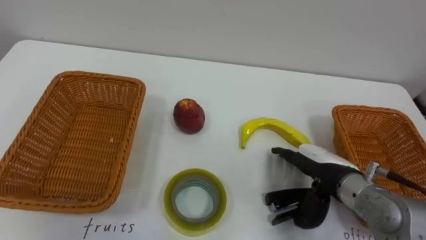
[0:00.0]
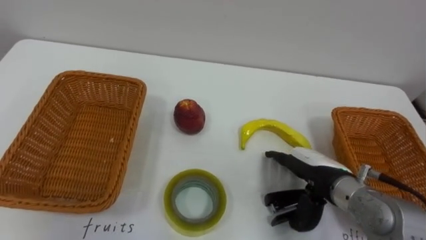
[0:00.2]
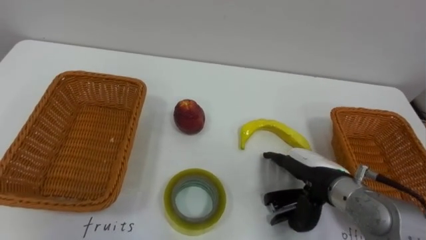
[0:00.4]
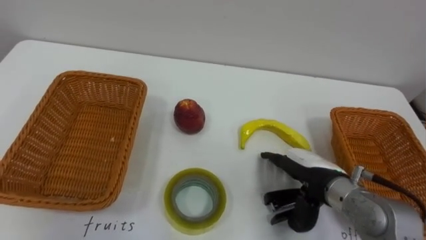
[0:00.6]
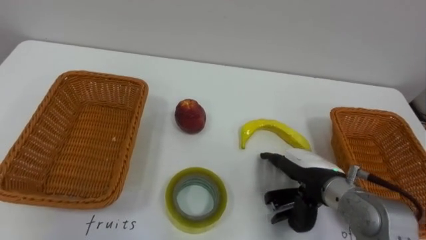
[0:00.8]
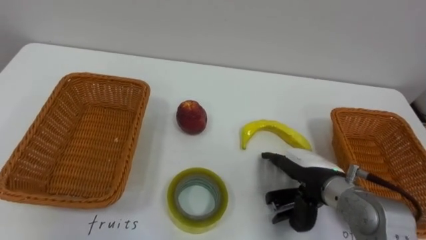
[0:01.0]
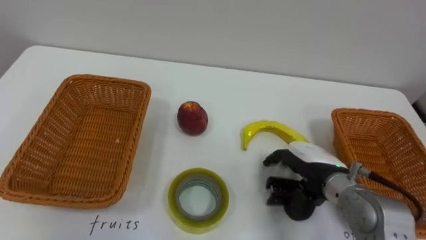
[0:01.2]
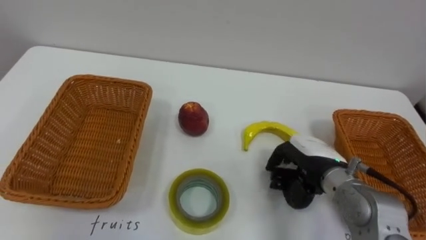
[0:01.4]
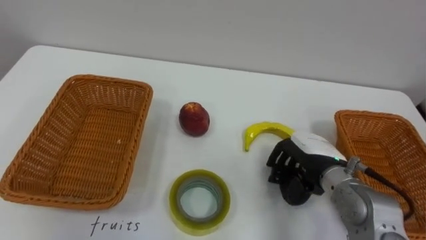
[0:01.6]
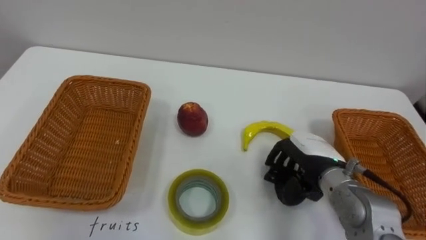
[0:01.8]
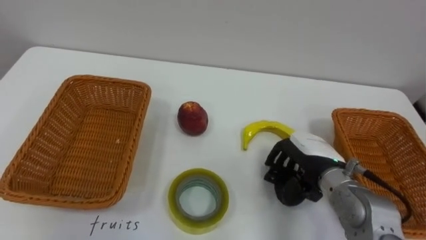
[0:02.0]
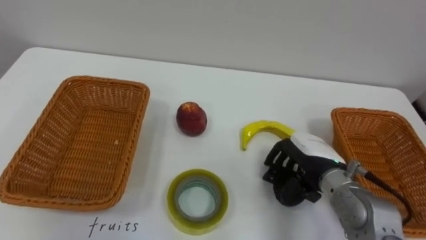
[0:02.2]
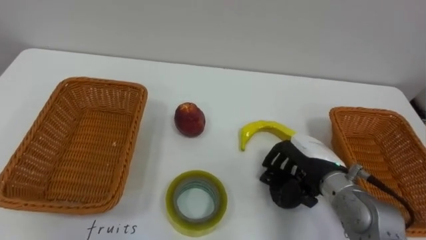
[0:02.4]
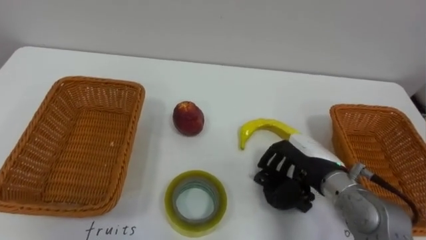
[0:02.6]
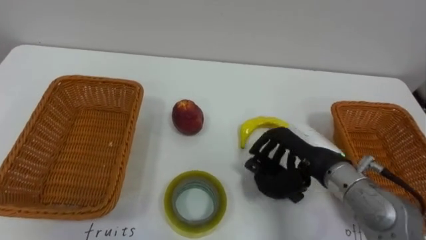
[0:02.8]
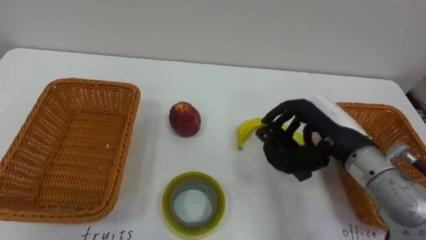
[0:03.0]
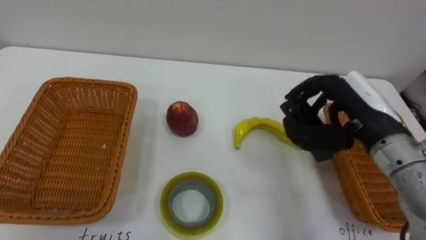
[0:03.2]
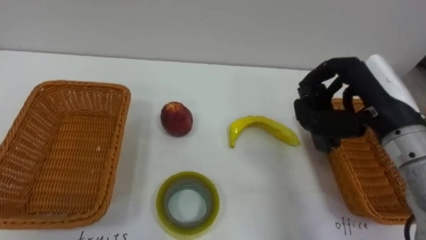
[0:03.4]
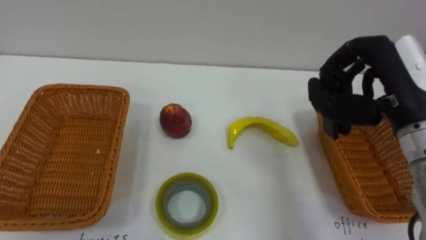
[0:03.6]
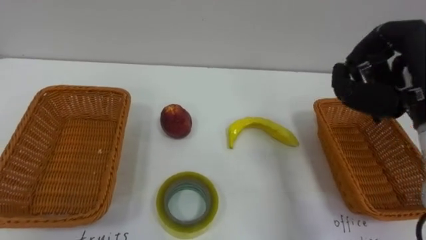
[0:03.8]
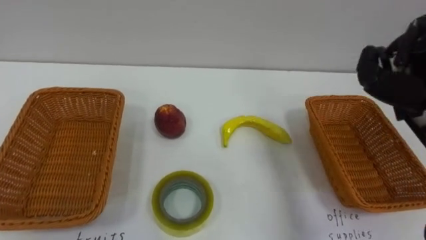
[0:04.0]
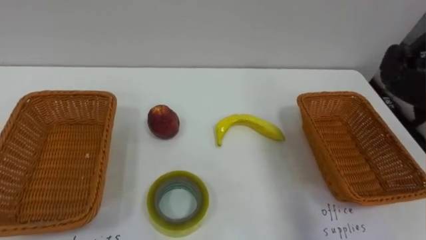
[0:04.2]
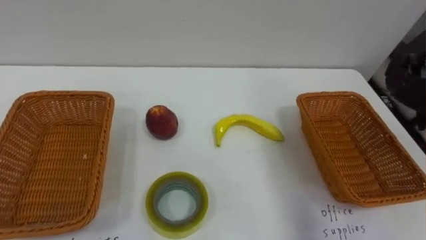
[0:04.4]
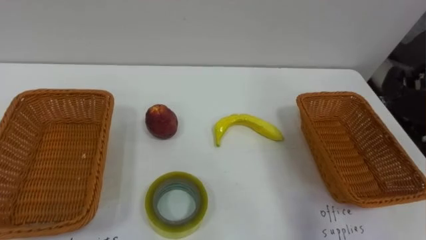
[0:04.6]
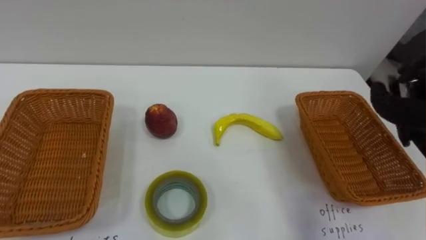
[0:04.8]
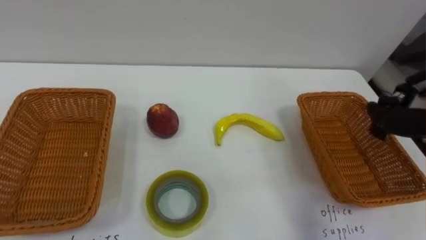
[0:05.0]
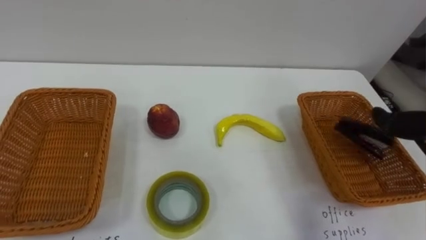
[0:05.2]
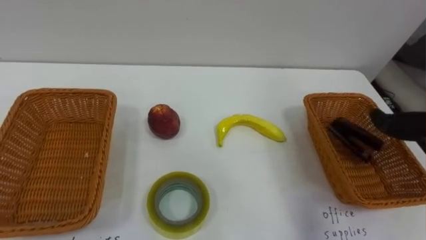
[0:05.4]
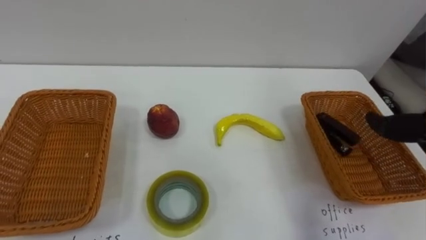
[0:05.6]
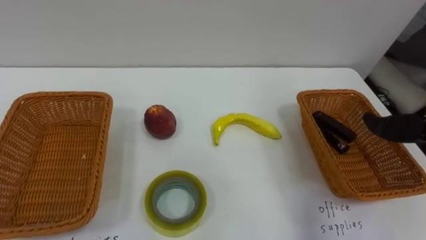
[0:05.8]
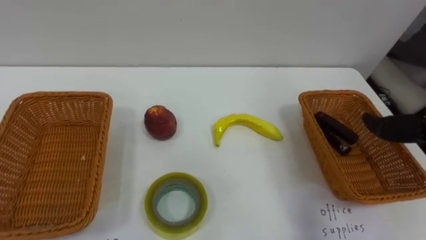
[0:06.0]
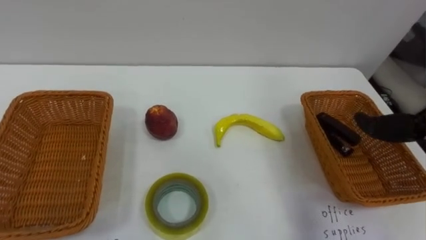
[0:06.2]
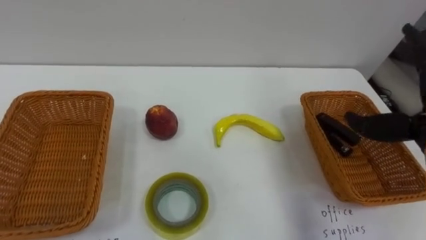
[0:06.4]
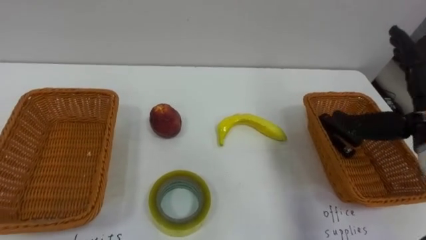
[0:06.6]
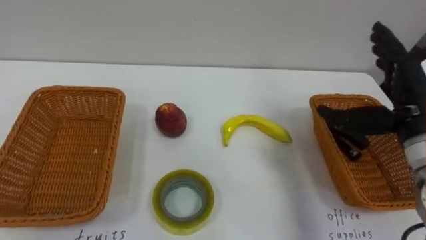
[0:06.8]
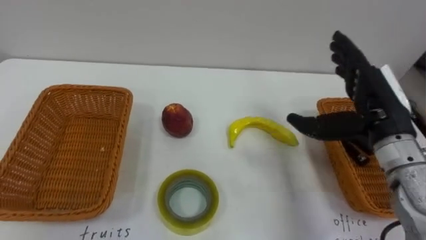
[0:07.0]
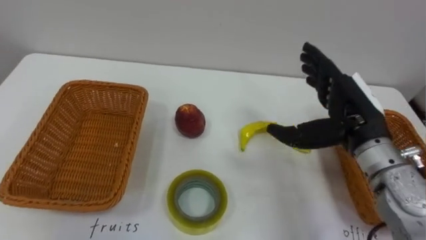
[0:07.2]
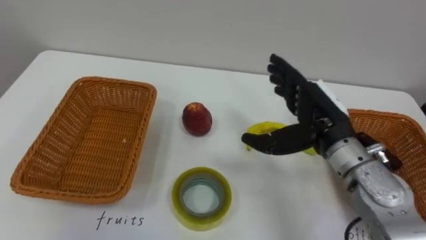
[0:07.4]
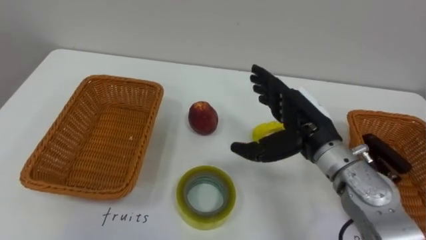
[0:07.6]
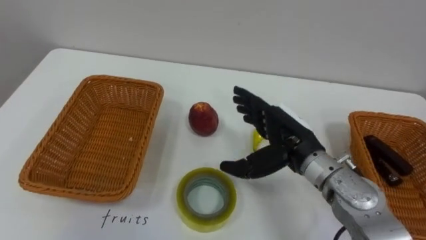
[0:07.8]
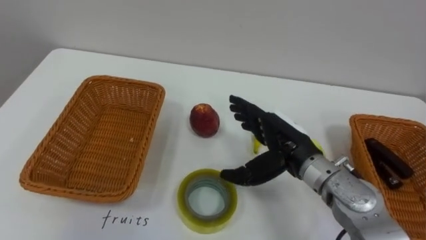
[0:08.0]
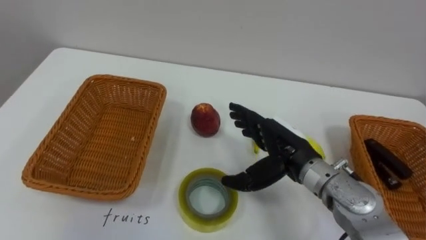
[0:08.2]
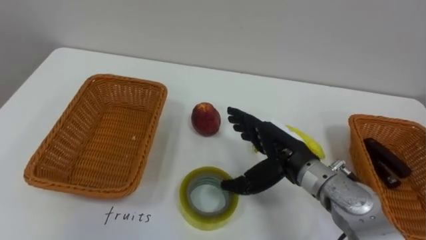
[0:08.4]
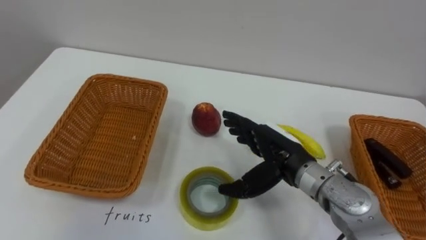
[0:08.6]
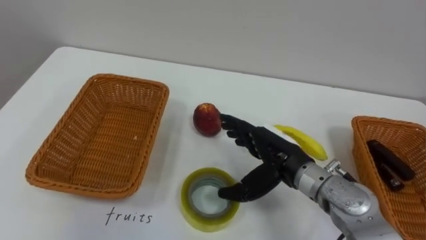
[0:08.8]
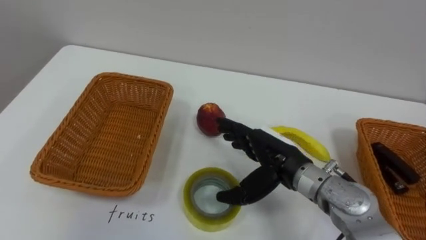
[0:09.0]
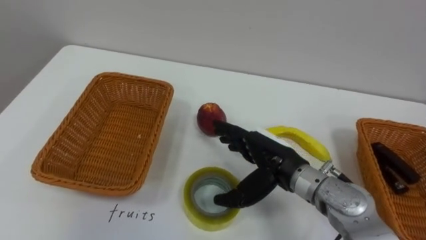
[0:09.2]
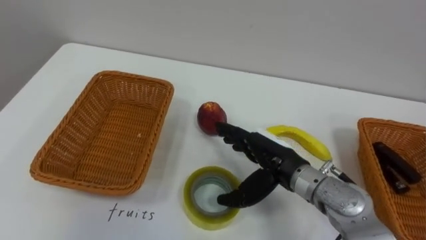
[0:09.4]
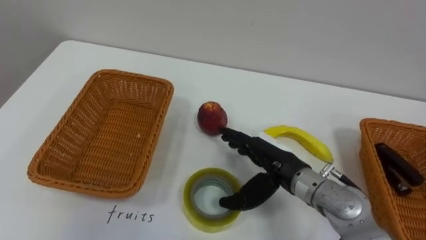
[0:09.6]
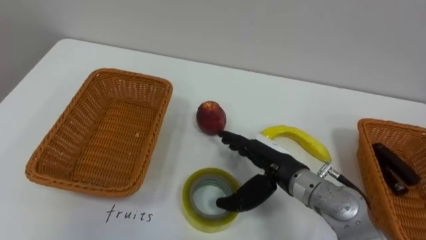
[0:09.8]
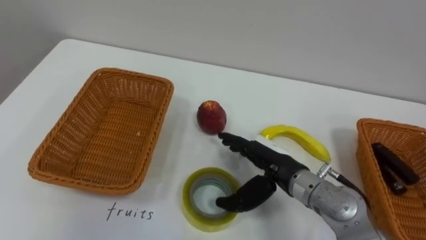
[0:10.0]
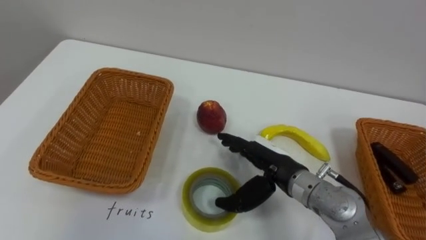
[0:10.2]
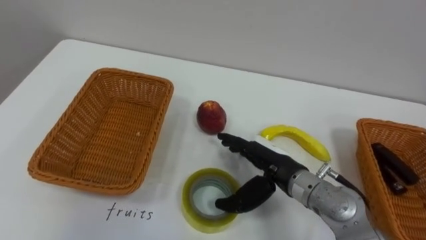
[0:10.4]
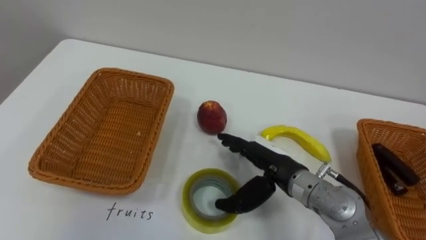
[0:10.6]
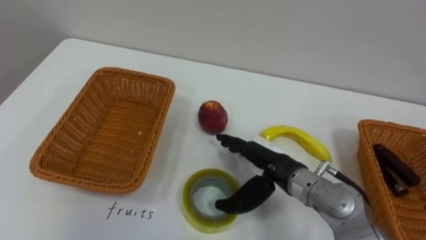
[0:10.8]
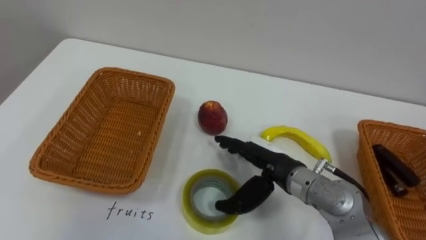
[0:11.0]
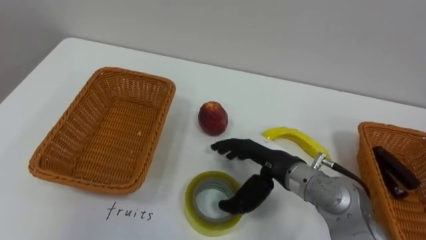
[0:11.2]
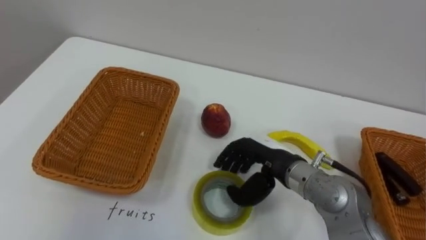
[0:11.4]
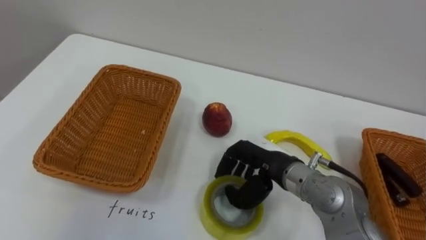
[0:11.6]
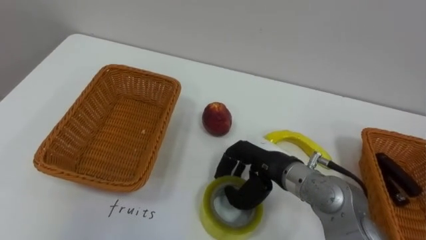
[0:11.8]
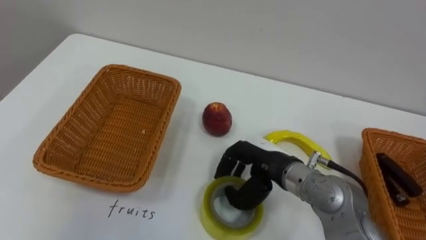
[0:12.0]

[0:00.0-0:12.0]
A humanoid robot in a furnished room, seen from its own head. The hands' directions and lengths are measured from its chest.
Task of the whole recording: Separate the items on the table and place them into the two baskets.
0:00.0 to 0:01.6: The right hand closes up.
0:01.6 to 0:03.0: The right hand shifts roughly 10 cm upward.
0:07.6 to 0:09.0: The right hand shifts about 5 cm downward.
0:10.4 to 0:12.0: The right hand closes up.

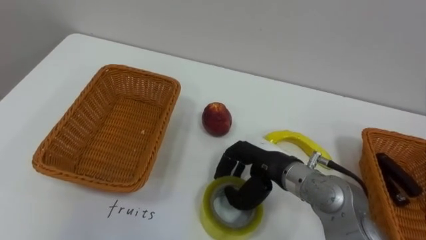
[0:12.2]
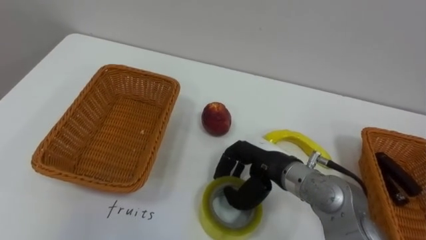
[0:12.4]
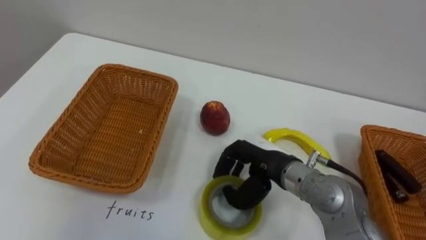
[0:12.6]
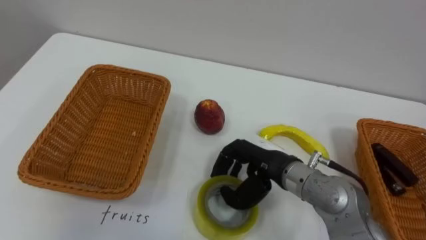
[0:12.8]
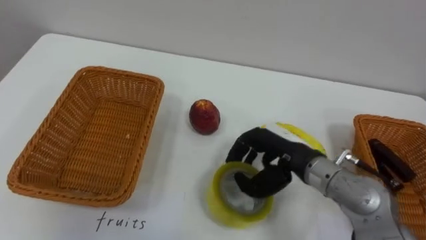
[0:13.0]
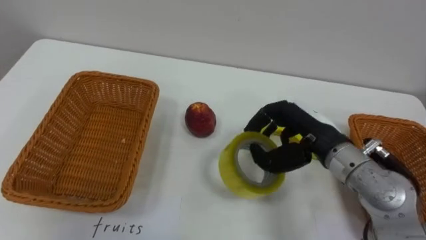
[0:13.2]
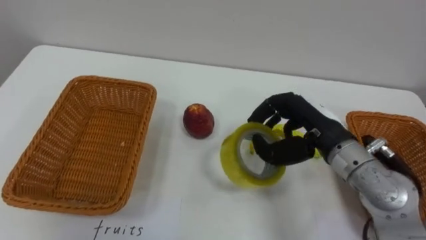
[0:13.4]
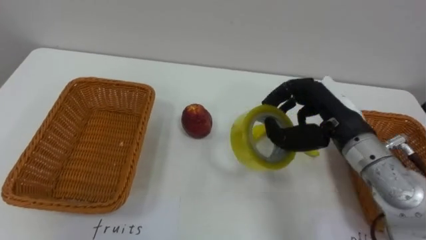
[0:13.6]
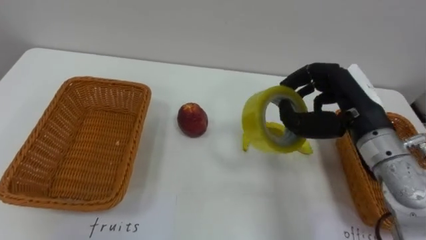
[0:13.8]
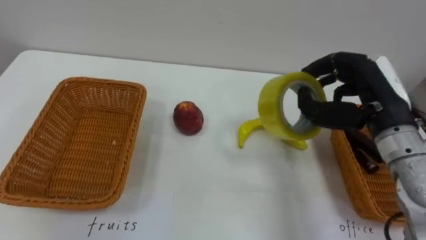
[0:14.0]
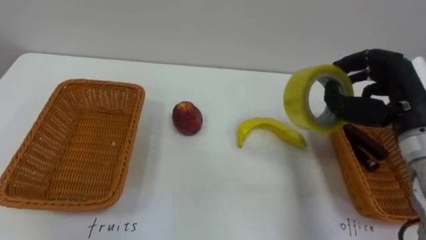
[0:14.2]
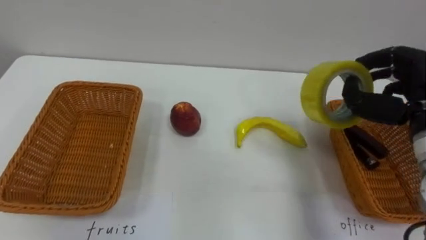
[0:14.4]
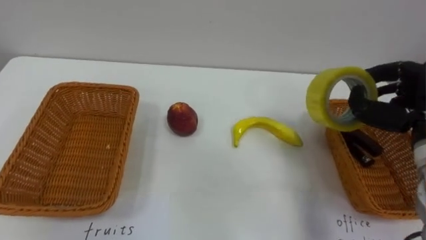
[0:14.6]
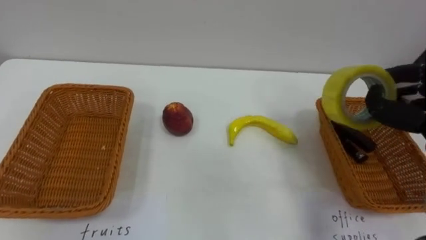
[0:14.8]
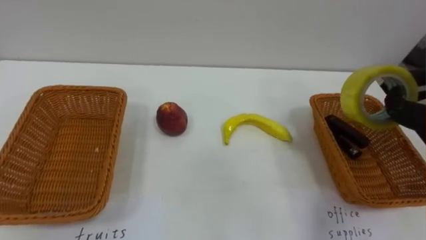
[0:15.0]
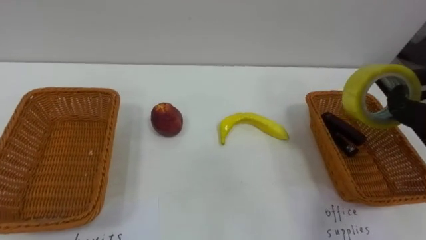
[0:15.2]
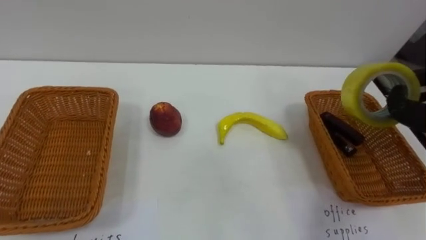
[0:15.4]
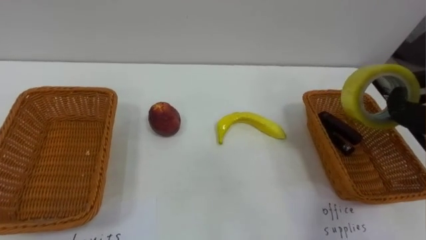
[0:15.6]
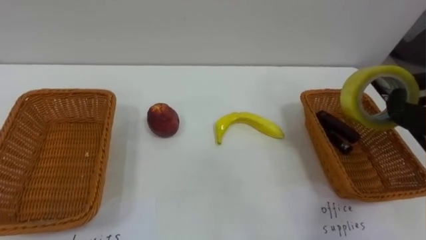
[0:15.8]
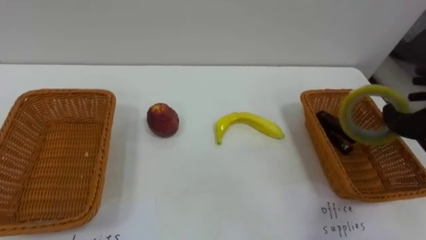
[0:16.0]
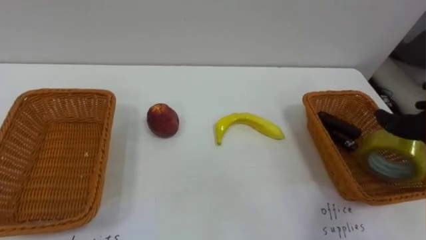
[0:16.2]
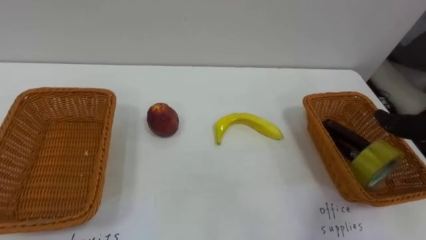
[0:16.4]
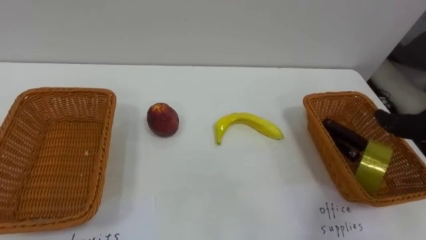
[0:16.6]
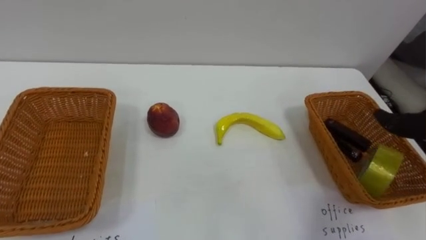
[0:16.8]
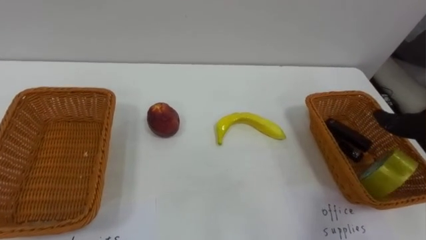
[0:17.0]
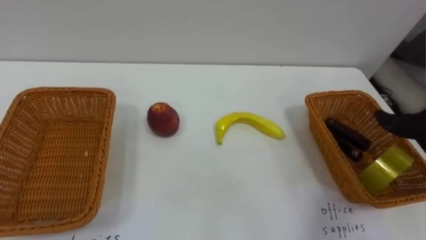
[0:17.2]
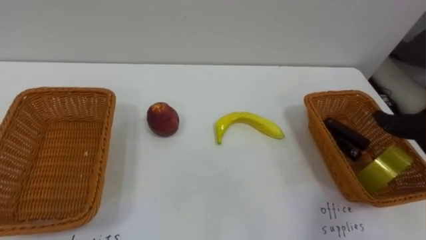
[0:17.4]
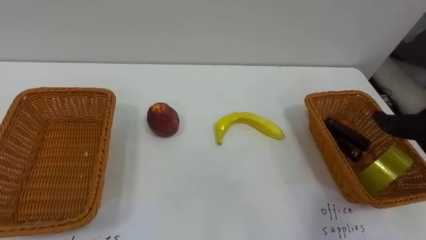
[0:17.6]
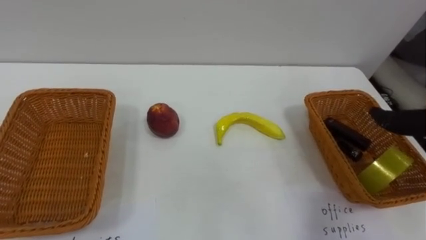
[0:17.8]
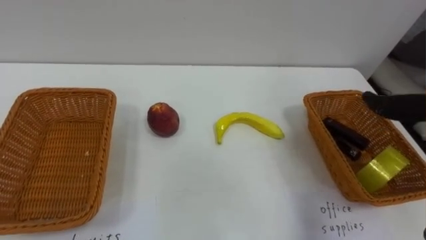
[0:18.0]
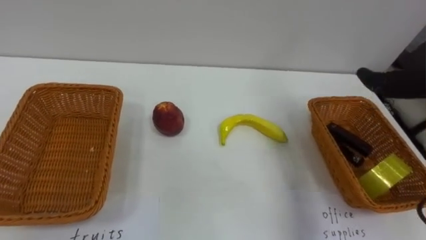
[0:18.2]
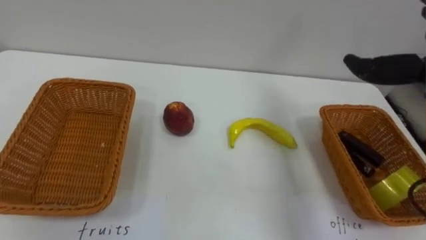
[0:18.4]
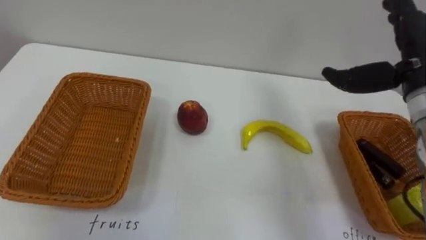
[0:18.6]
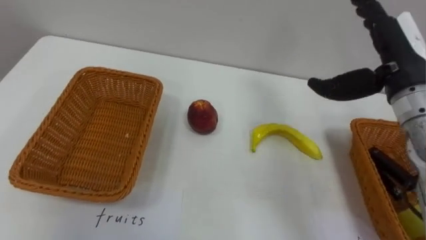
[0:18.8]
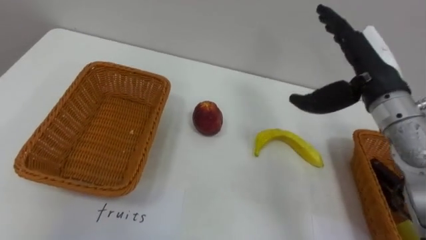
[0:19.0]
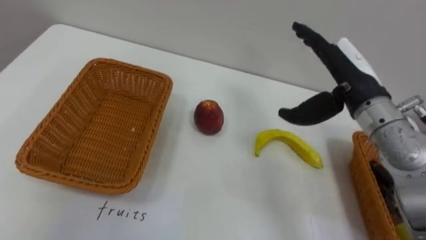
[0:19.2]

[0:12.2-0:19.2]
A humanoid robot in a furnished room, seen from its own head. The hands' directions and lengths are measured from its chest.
Task of the whole recording: Separate the items on the table and place them into the two baskets.
0:12.2 to 0:13.6: The right hand travels to the right and upward by approximately 15 cm.
